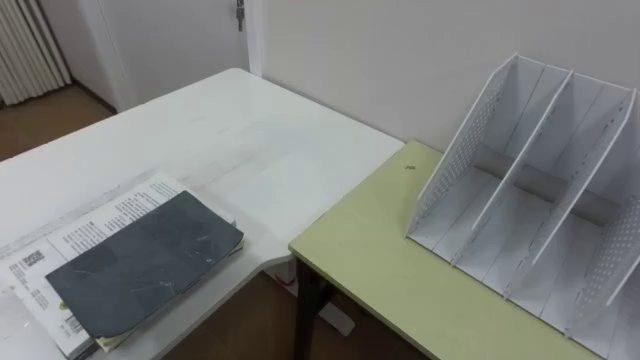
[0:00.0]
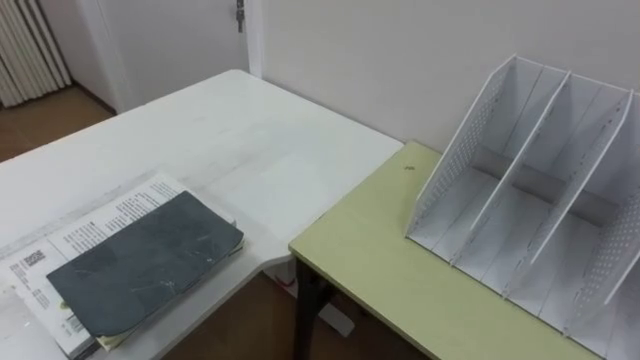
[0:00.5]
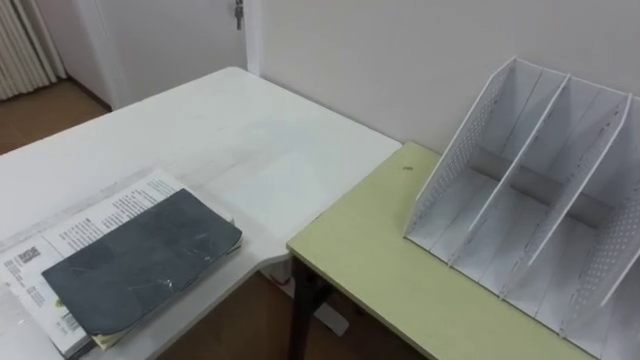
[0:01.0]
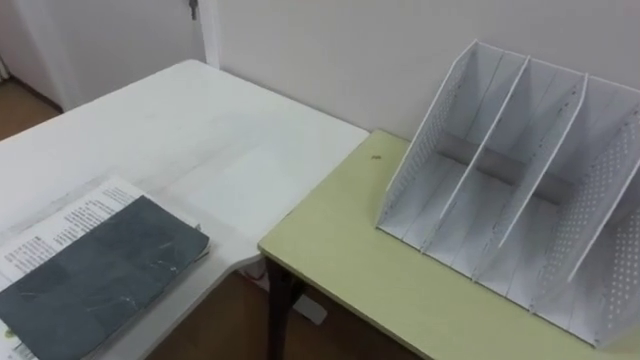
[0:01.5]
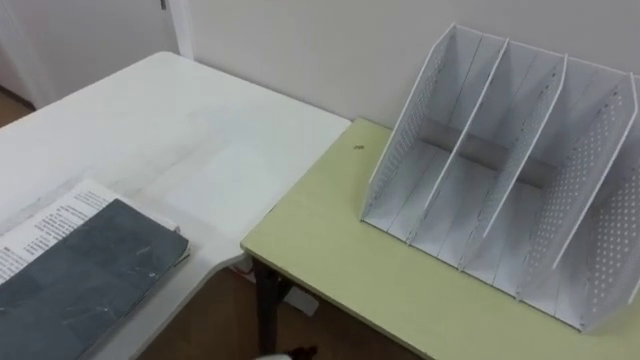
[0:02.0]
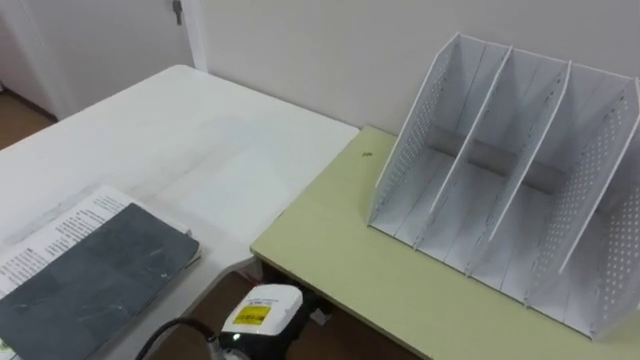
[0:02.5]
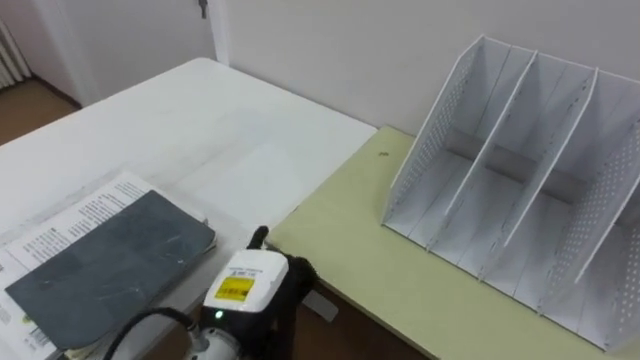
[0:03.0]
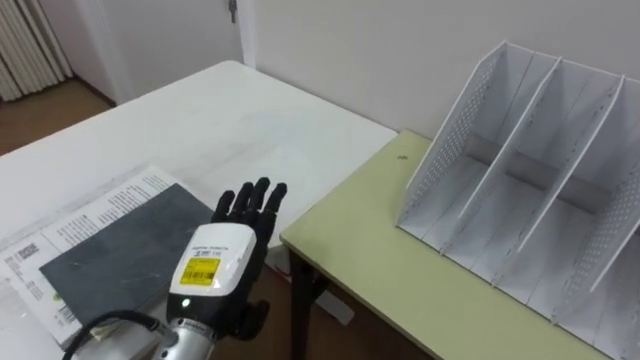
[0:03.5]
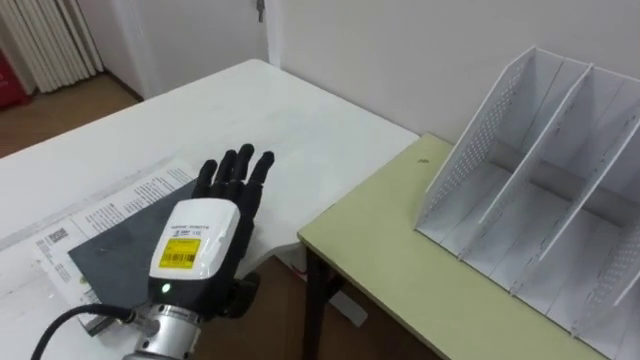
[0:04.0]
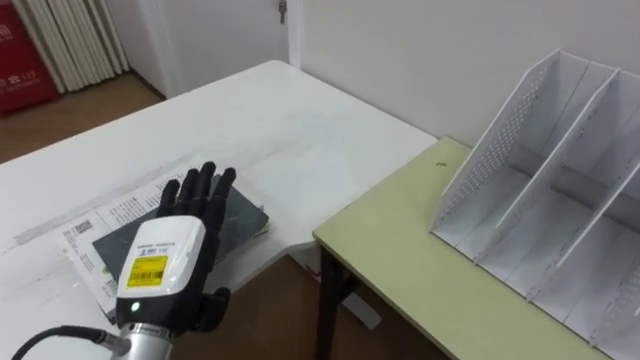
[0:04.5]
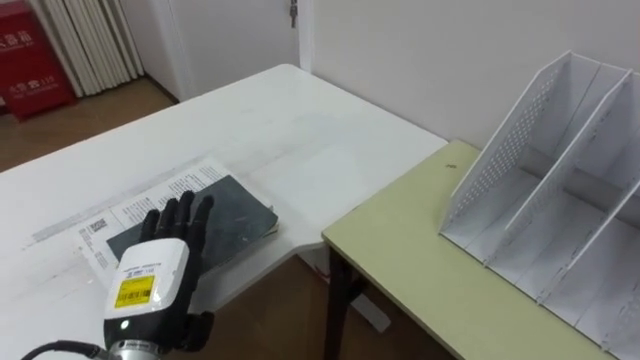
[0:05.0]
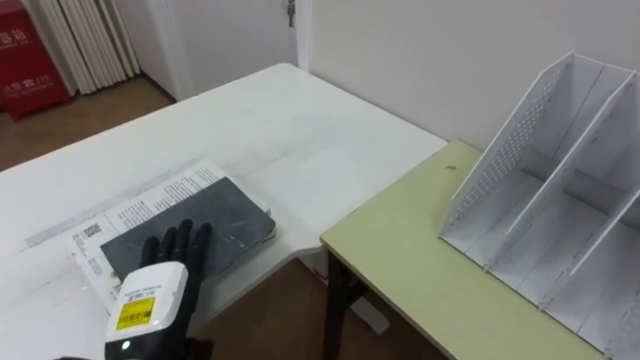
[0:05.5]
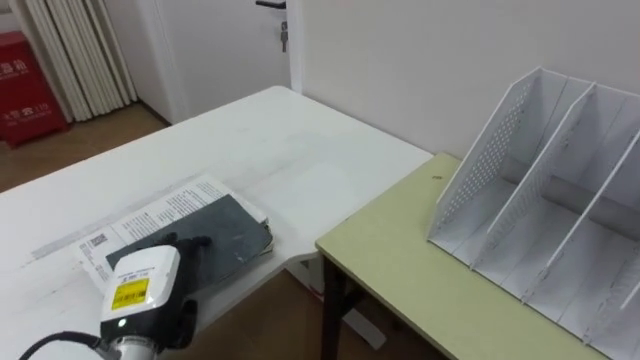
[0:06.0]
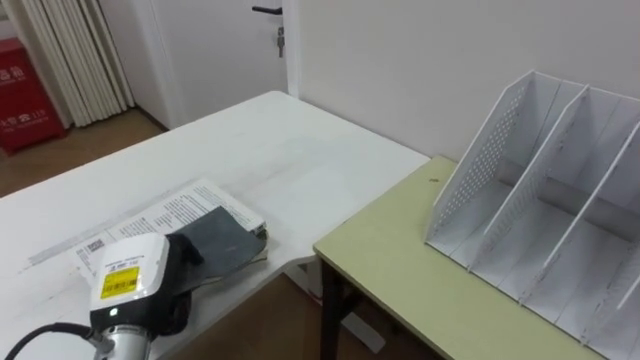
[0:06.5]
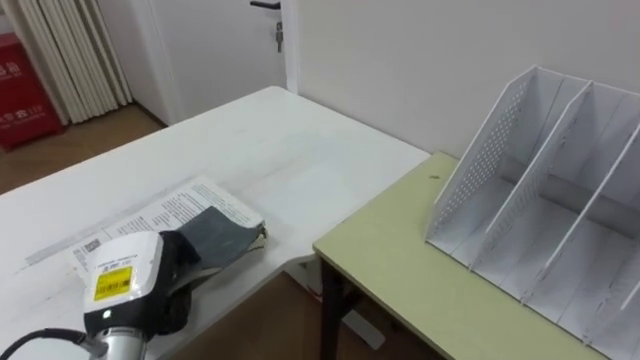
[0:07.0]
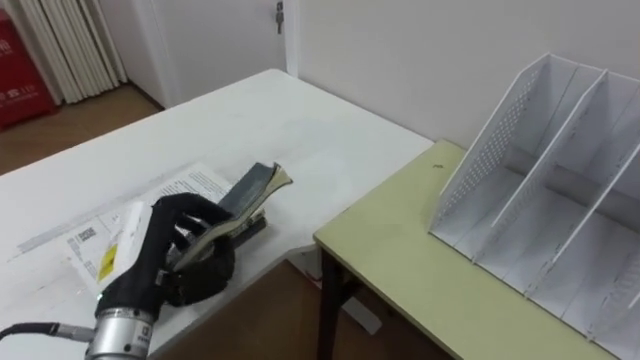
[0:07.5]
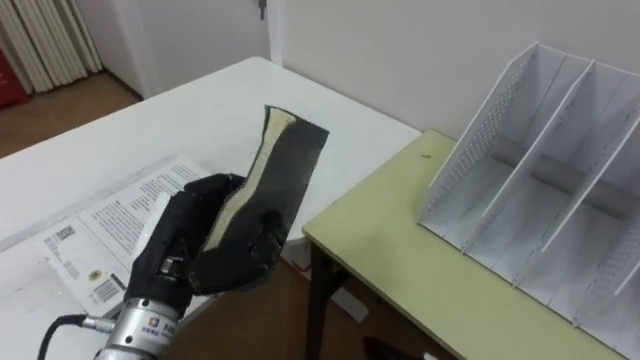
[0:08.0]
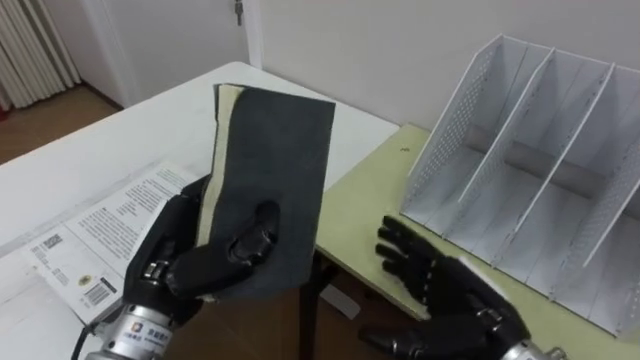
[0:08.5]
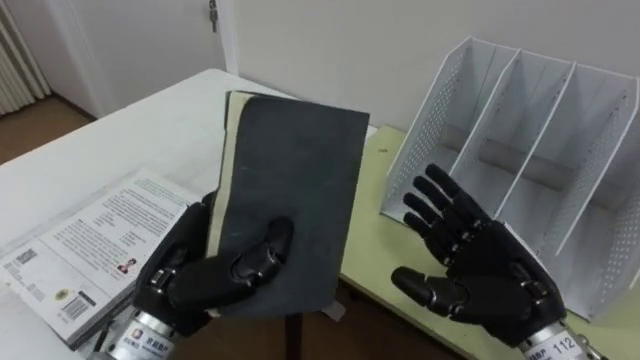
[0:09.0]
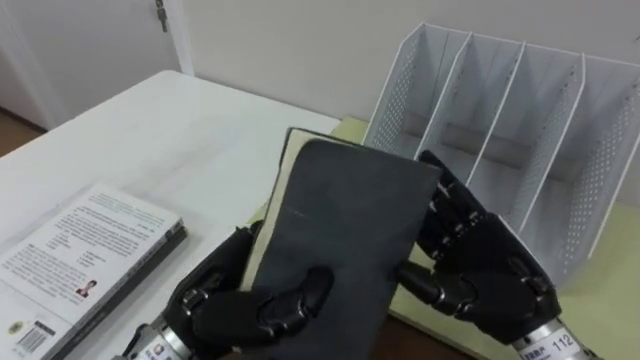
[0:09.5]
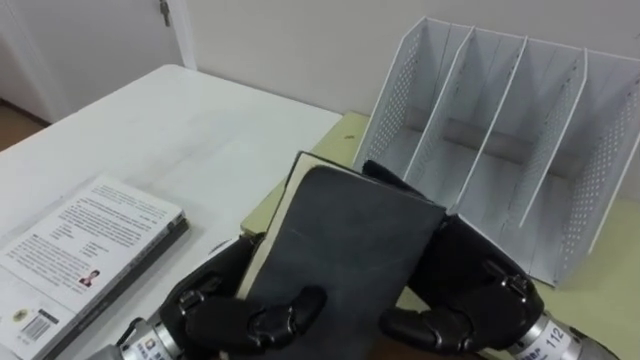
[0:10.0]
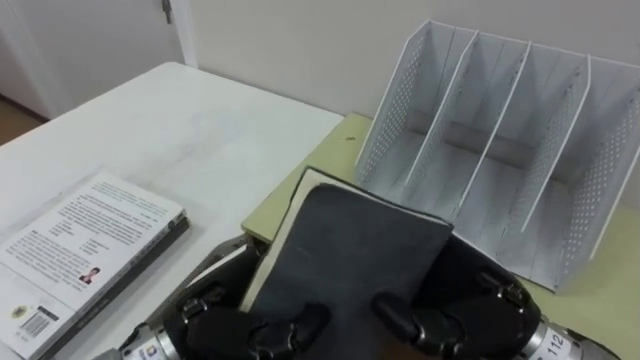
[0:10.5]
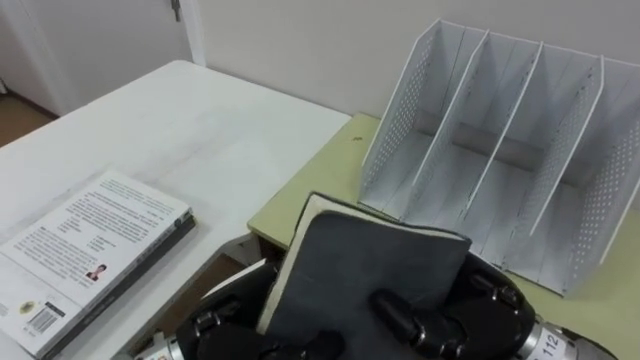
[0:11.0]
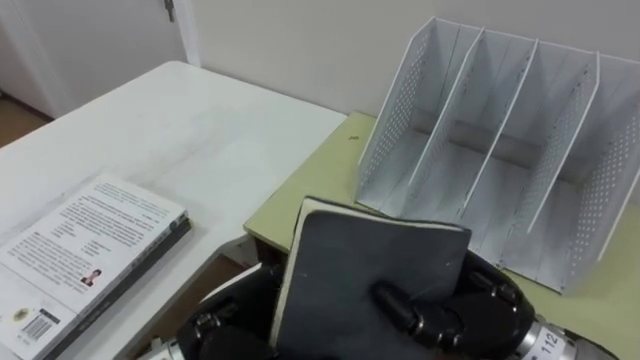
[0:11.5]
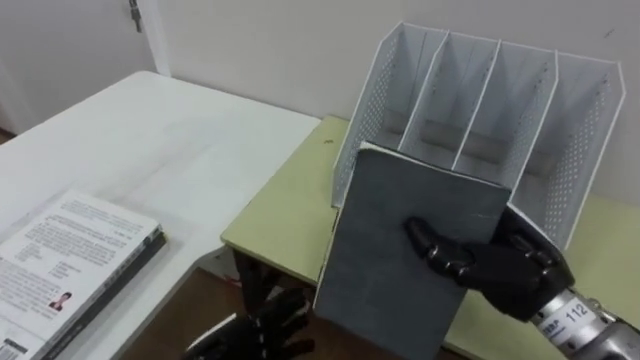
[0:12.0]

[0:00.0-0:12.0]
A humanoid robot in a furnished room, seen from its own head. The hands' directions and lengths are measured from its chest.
Task of the whole recording: Put the books on the table onto the bookshelf.
0:04.0 to 0:06.0: The left hand moves downward and to the left, roughly 10 cm.
0:06.0 to 0:08.0: The left hand goes some 10 cm upward, and closes its fingers.
0:08.0 to 0:10.0: The left hand moves to the right, about 5 cm.
0:10.0 to 0:12.0: The left hand shifts roughly 10 cm downward, and opens up, while the right hand closes up.

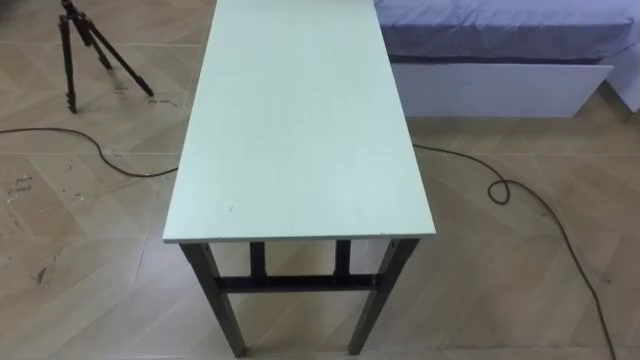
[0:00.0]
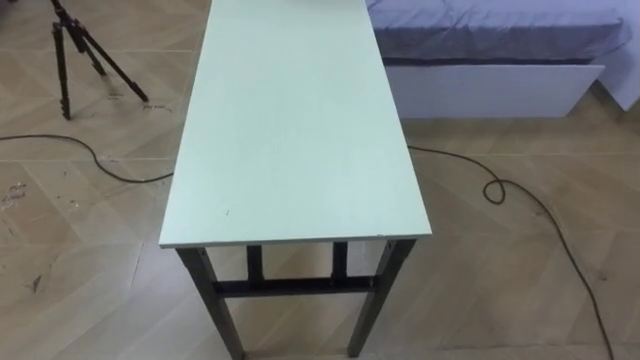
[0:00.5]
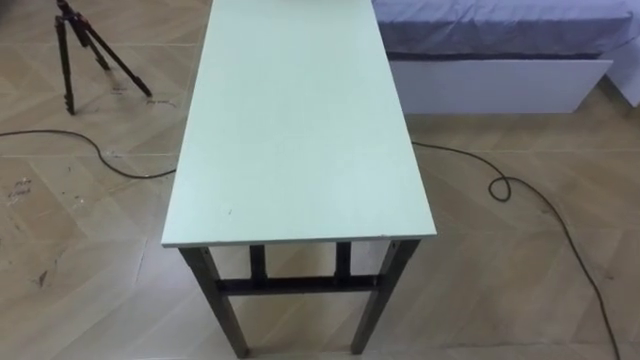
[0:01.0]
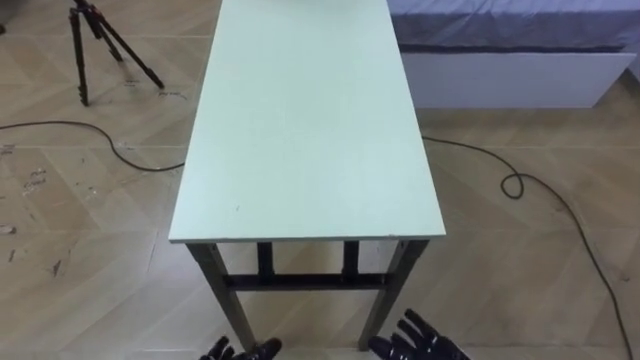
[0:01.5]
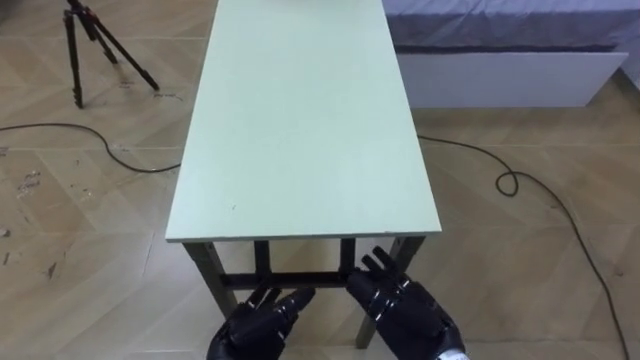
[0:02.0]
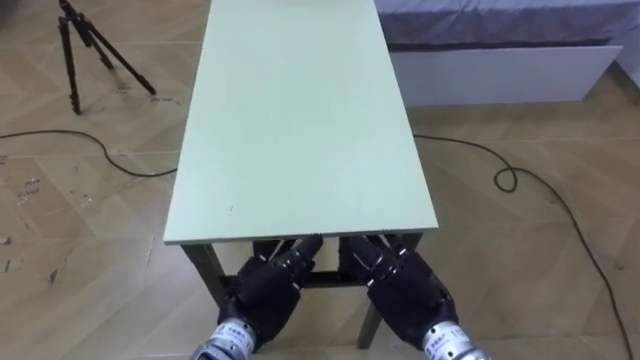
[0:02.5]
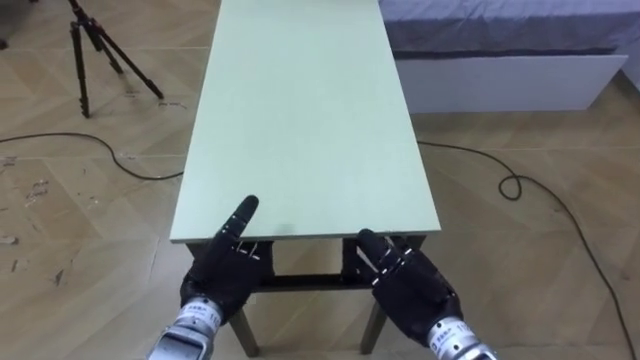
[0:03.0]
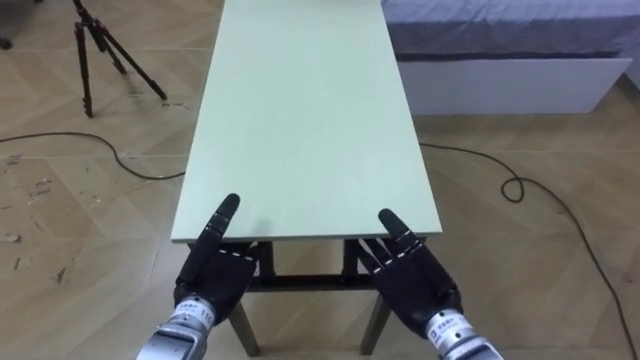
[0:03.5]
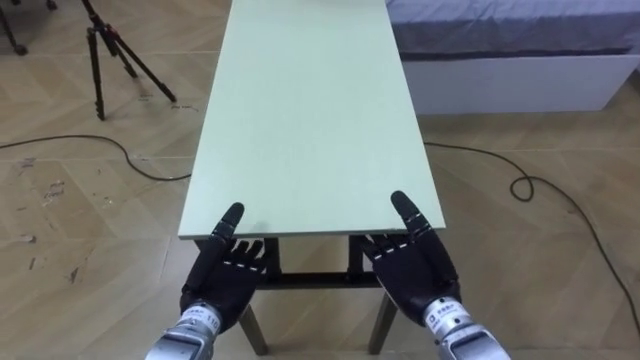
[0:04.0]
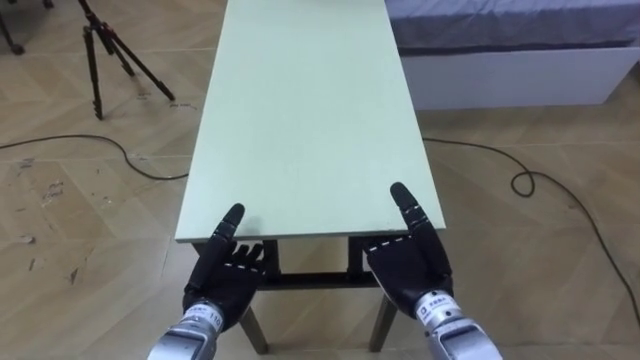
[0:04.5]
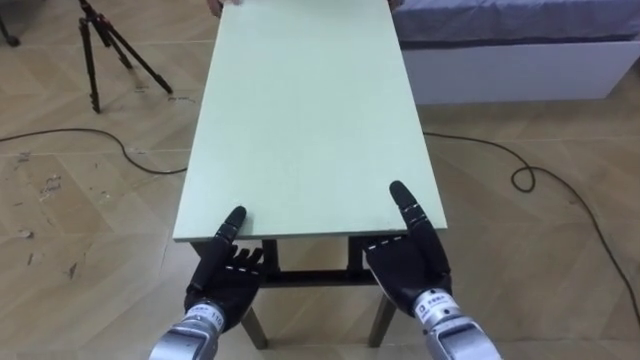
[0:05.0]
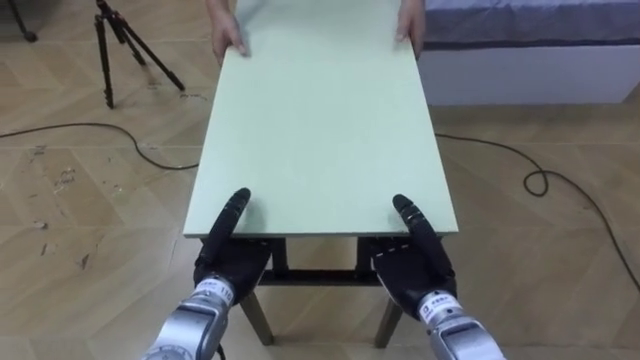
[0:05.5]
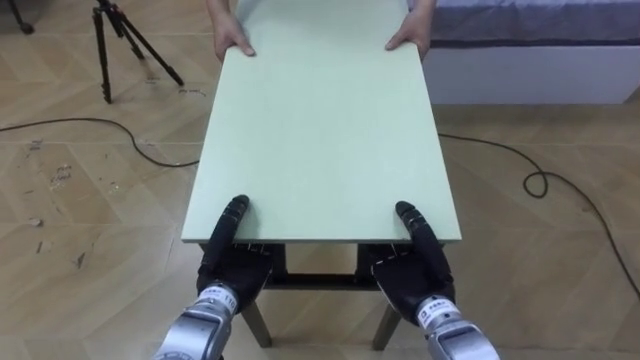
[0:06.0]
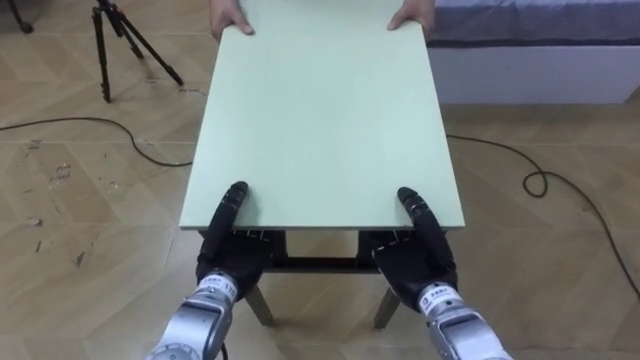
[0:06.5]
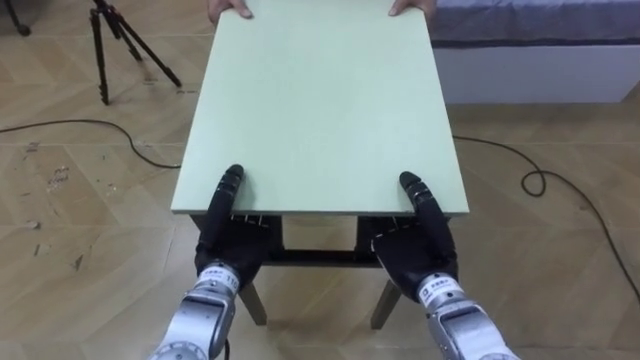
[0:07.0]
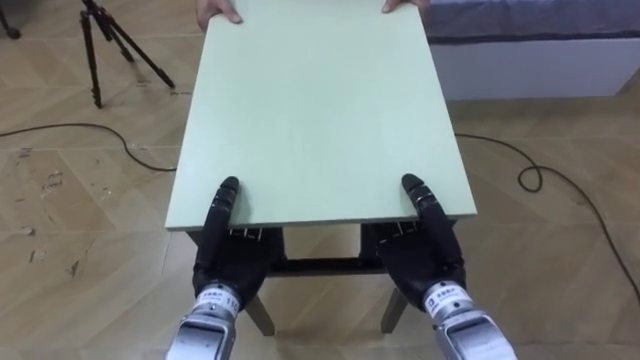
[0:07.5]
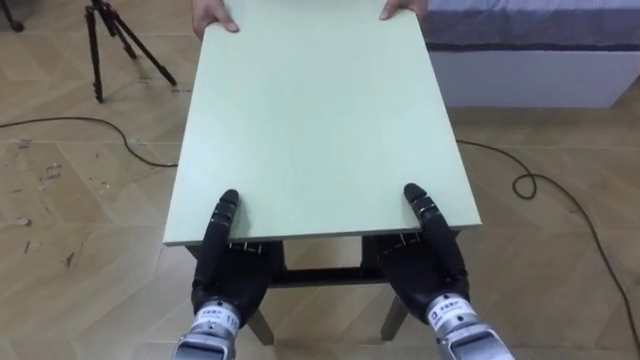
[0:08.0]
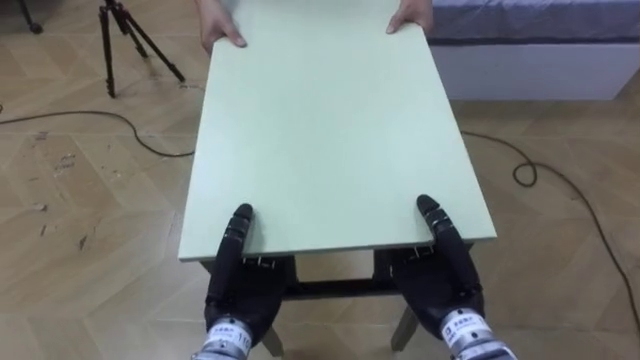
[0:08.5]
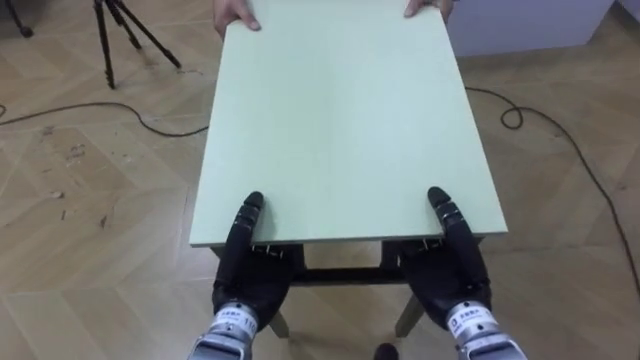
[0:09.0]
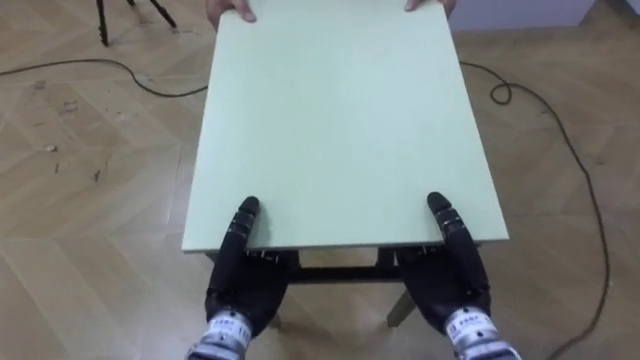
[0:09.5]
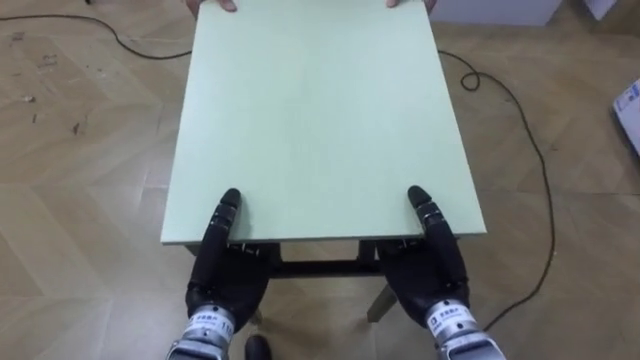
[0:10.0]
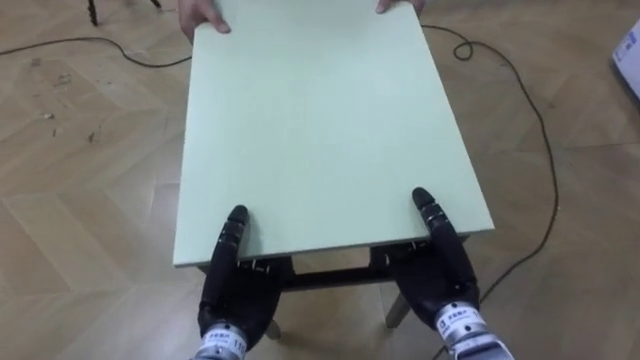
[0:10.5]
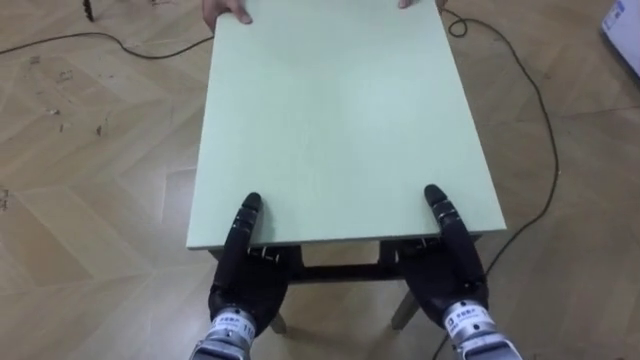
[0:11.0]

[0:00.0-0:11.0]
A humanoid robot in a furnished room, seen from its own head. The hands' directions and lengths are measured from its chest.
Task of the whole recording: Move the table to the back left with someone.
0:02.0 to 0:03.5: The left hand moves forward and upward, some 10 cm. Meanwhile the right hand shifts by about 5 cm.
0:03.5 to 0:05.5: The right hand closes. Meanwhile the left hand closes its fingers.
